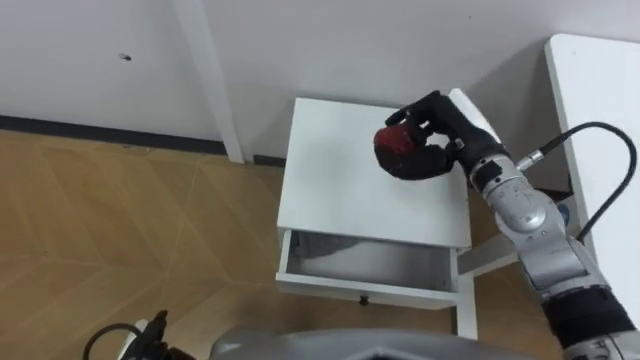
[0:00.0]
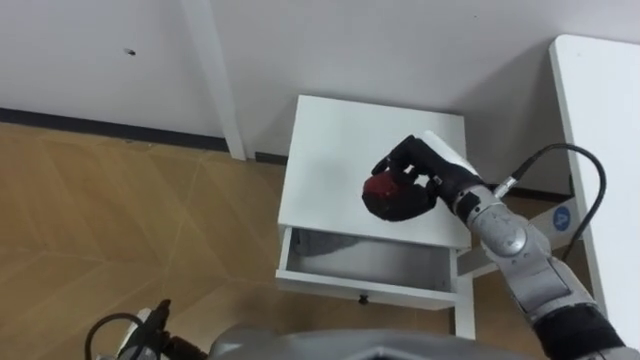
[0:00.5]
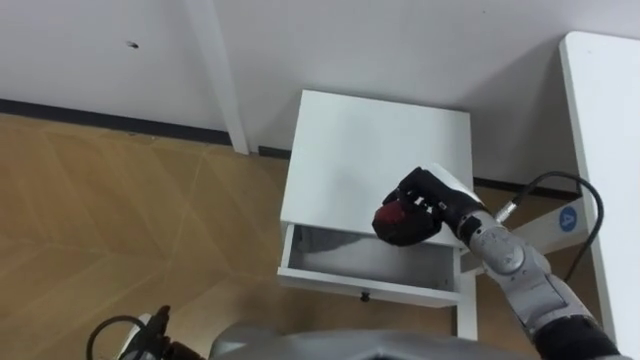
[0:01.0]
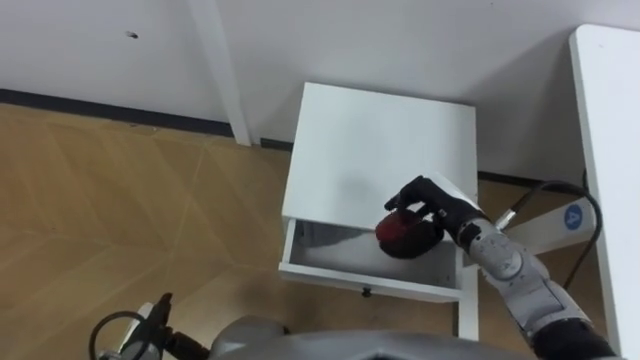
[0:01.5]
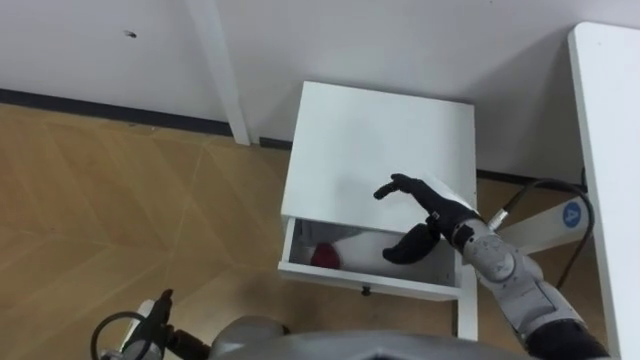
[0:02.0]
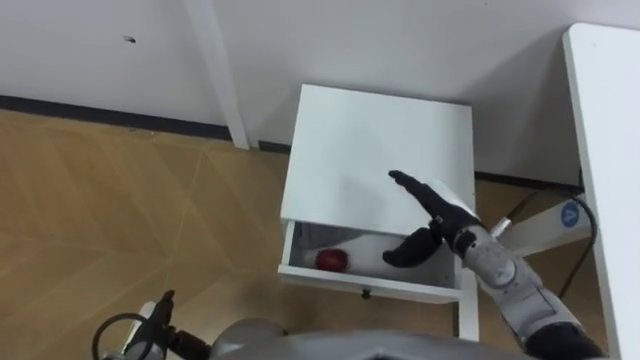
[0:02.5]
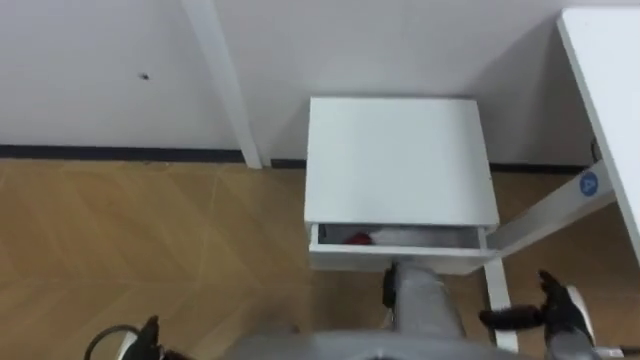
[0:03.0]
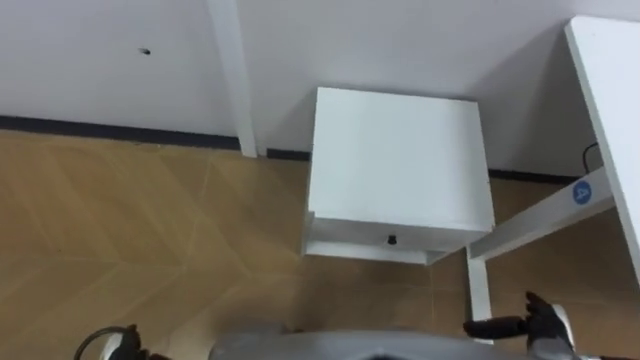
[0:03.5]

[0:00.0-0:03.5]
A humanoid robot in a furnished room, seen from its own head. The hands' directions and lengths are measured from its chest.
Task of the whole recording: Pick up the apple from the table, put it in the drawer, and close the drawer with leg.
0:00.0 to 0:02.0: The right hand travels downward and backward by about 10 cm, and opens its fingers.
0:02.0 to 0:03.5: The left hand changes place by about 5 cm. The right hand heads backward, to the right and downward, covering about 25 cm.
